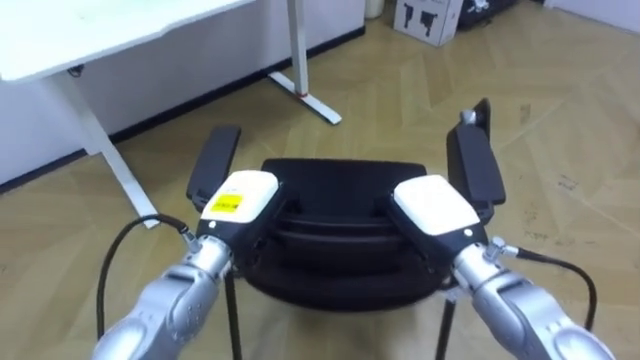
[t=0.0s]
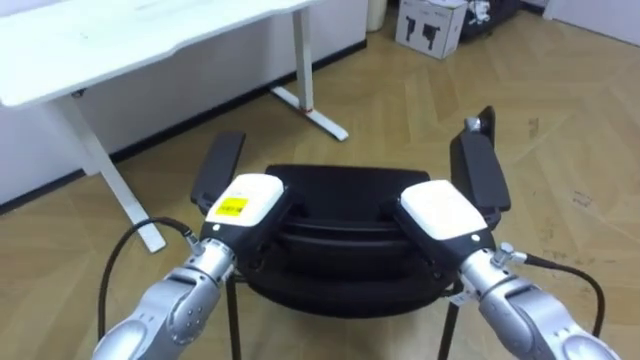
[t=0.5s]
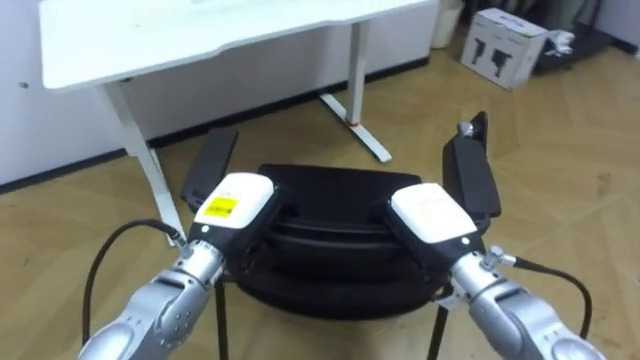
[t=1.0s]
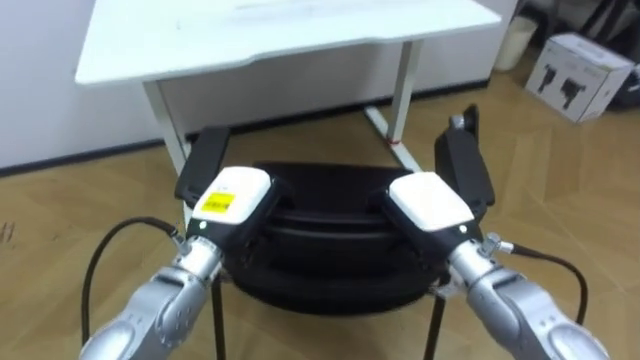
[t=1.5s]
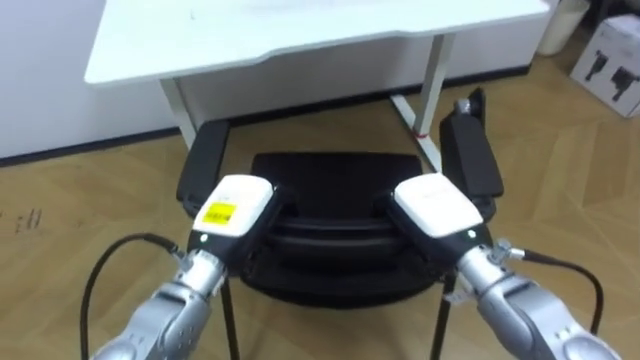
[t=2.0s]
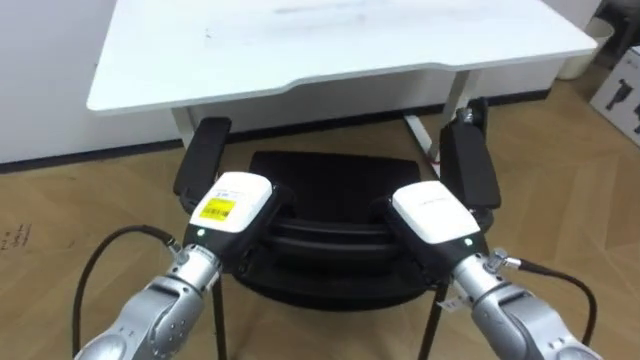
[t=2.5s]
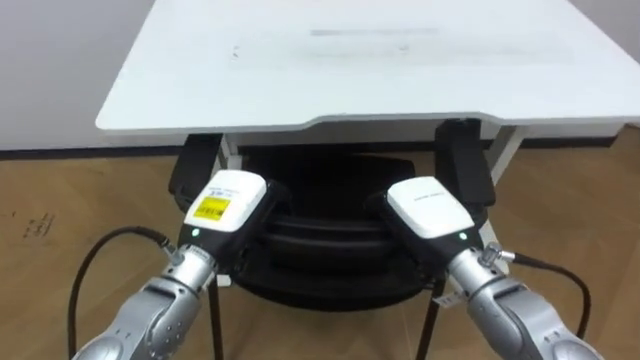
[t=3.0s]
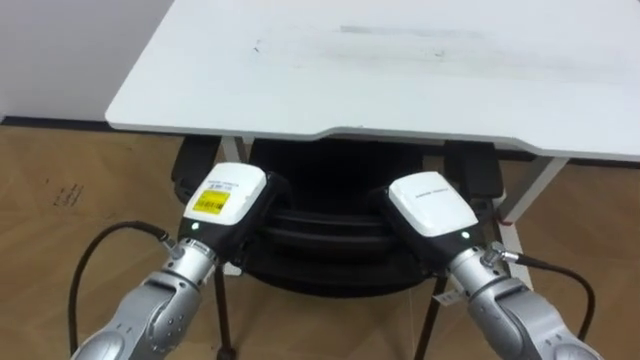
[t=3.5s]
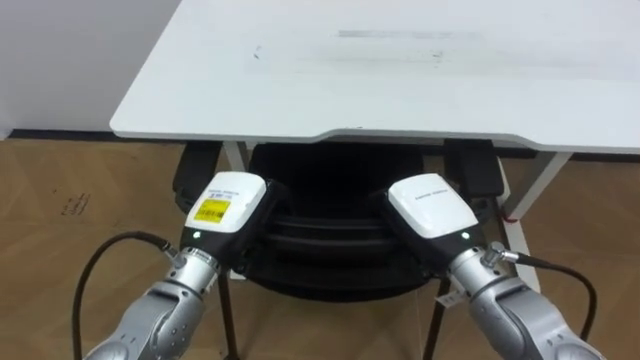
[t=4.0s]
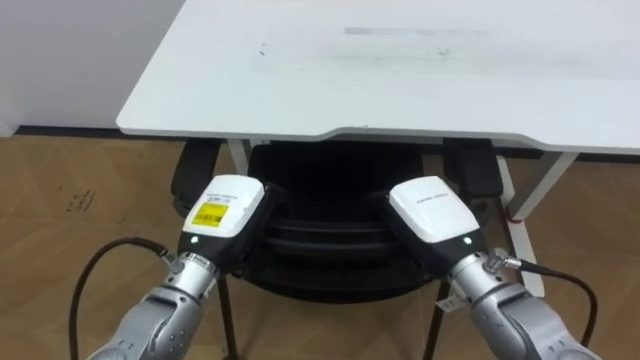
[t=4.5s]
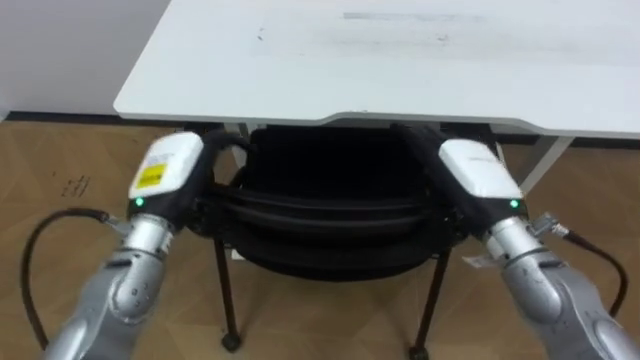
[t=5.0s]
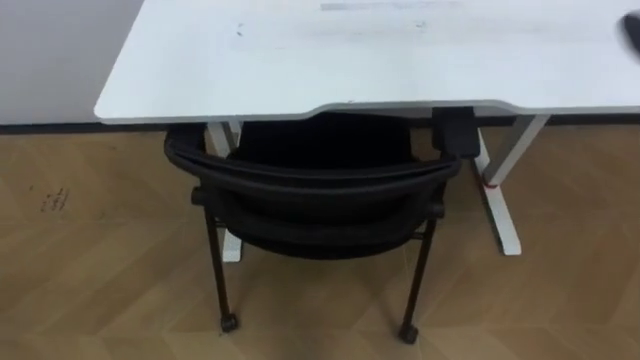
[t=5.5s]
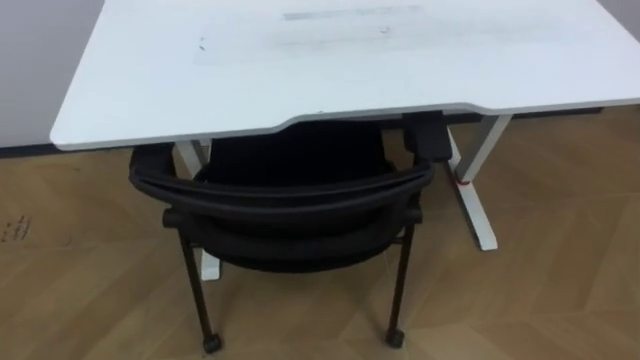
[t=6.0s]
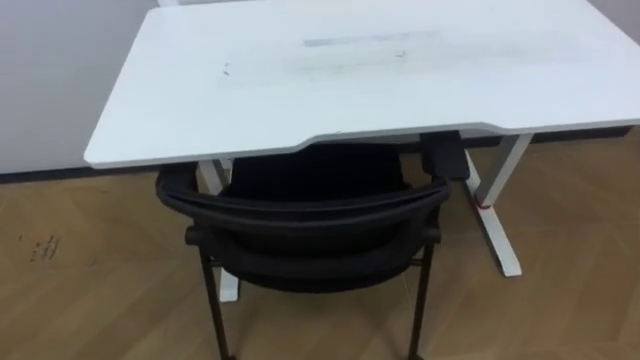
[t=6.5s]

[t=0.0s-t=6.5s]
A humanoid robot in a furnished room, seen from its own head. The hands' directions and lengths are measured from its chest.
Task of the whole recording: Push the chair under the table.
t=0.0s to t=2.0s: The robot turns to its left by approximately 20 degrees.
t=2.0s to t=4.5s: The robot rotates approximately 15 degrees to its left.

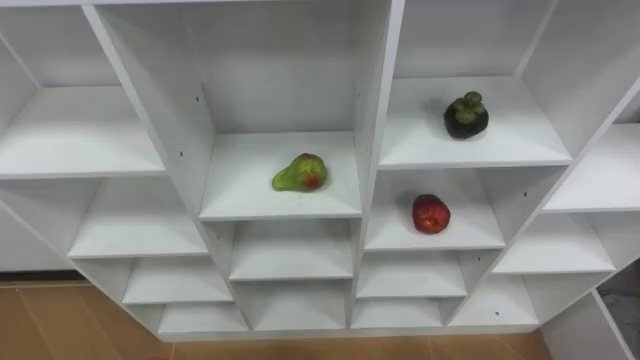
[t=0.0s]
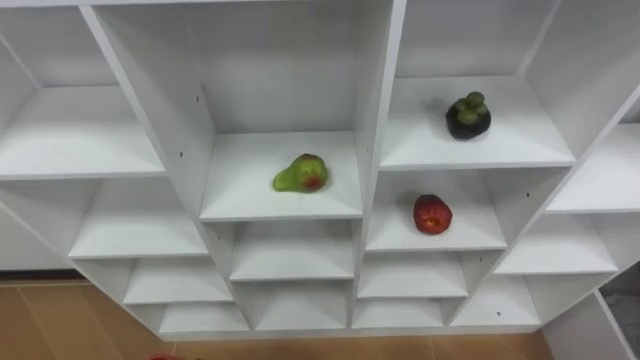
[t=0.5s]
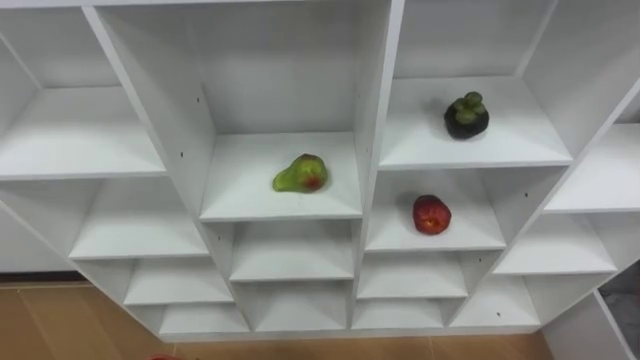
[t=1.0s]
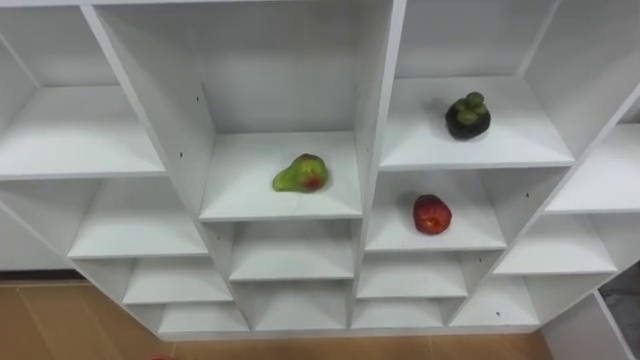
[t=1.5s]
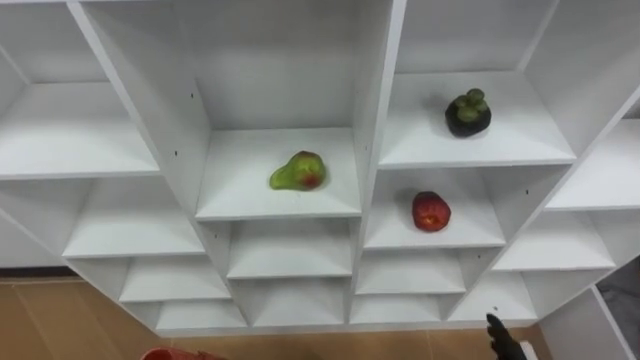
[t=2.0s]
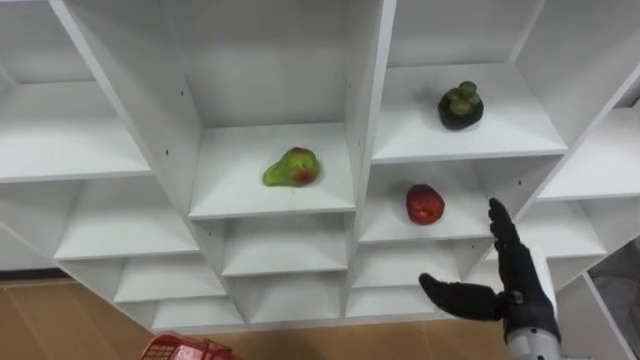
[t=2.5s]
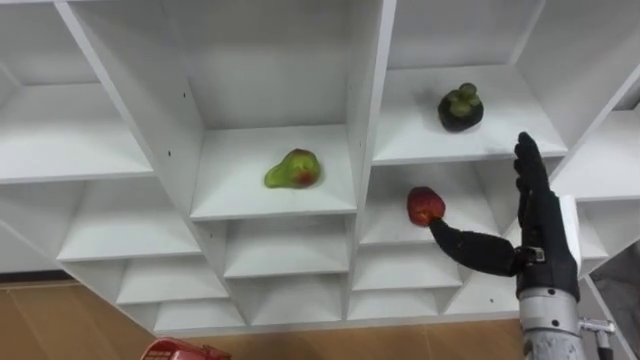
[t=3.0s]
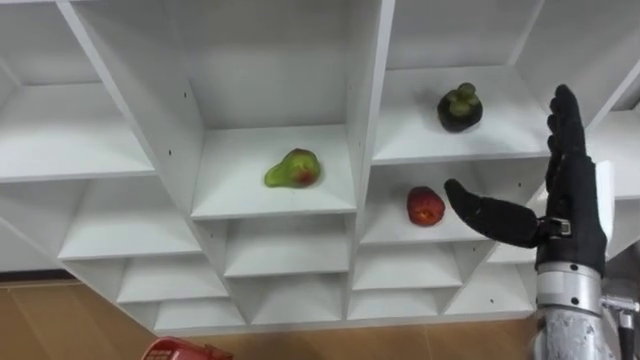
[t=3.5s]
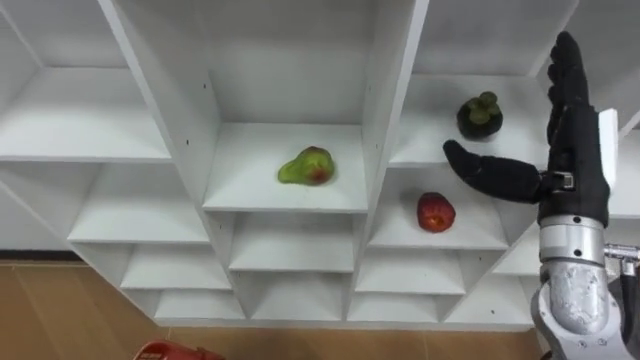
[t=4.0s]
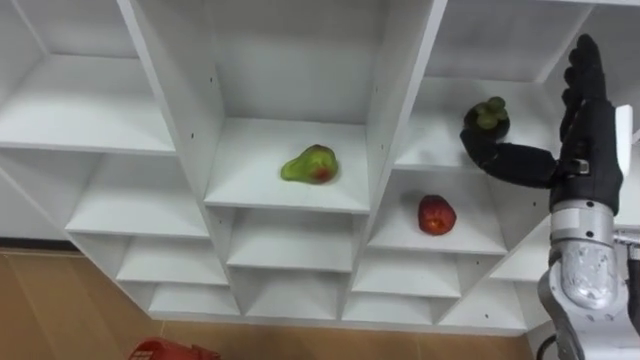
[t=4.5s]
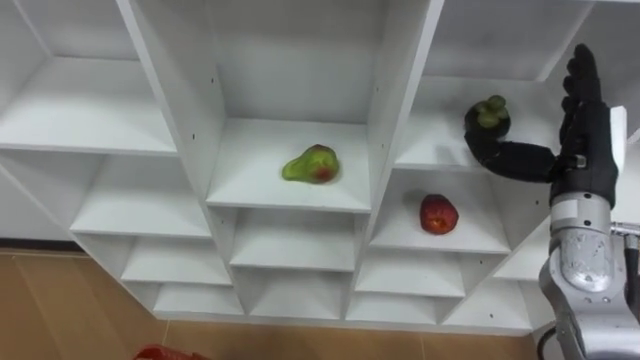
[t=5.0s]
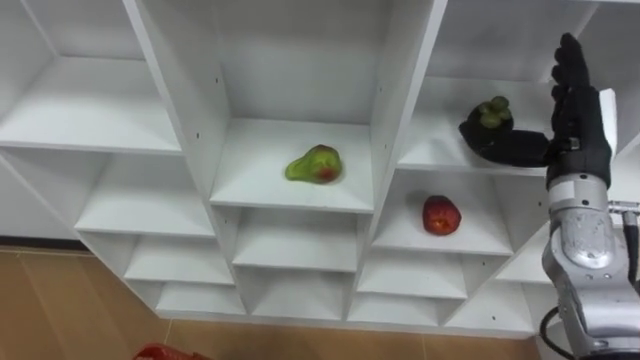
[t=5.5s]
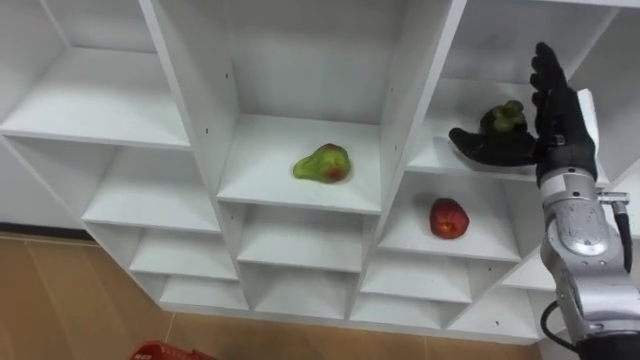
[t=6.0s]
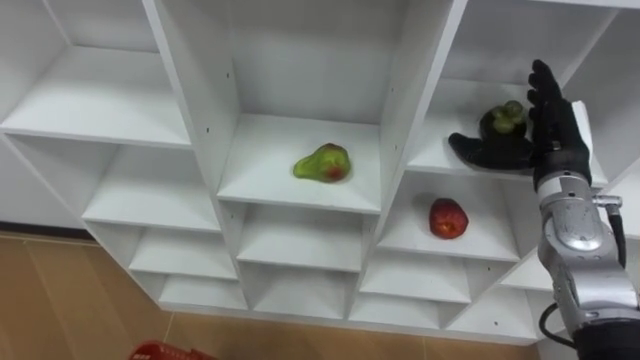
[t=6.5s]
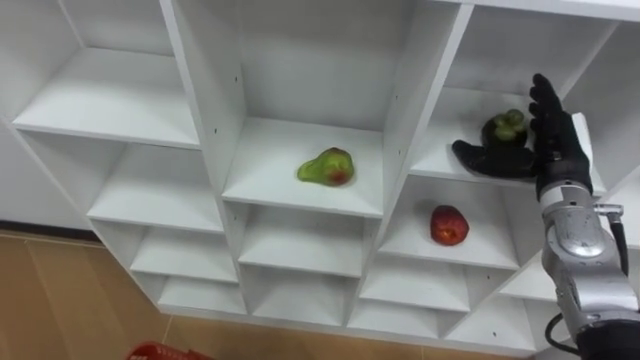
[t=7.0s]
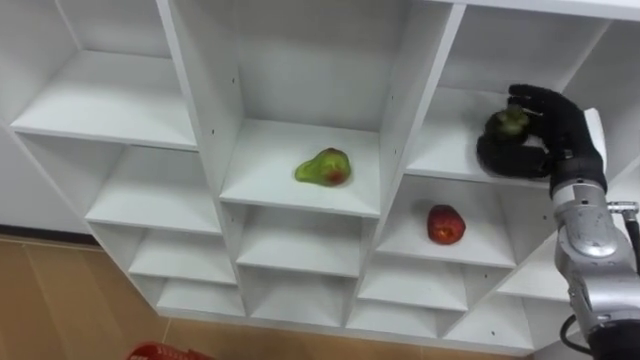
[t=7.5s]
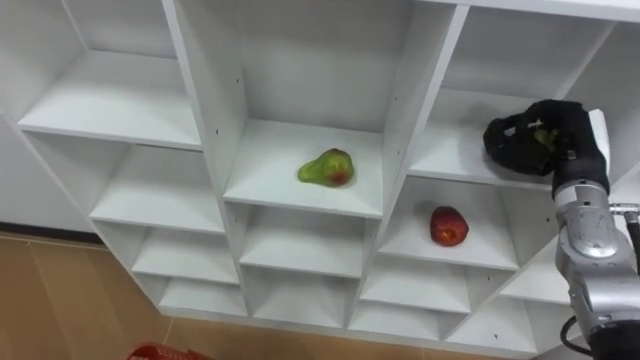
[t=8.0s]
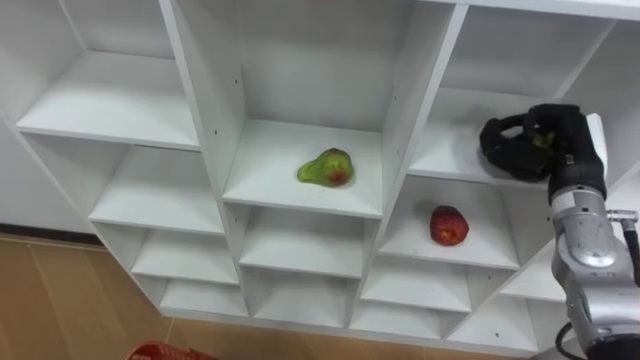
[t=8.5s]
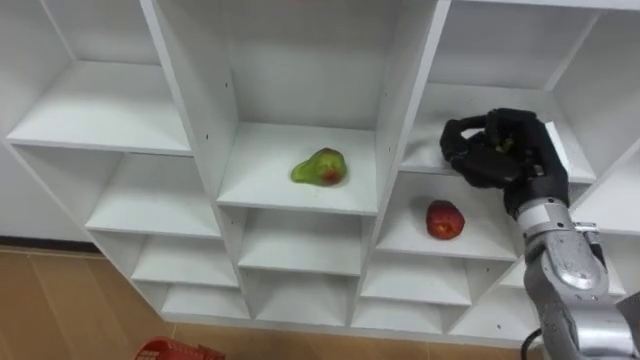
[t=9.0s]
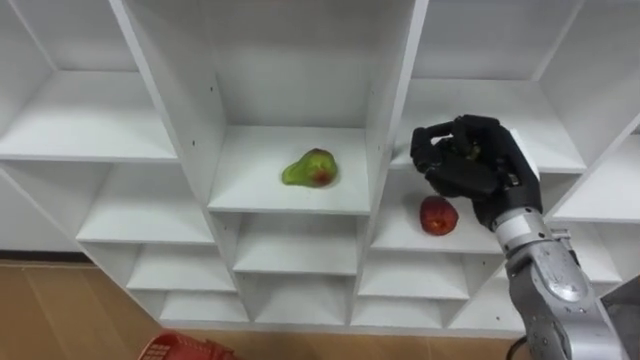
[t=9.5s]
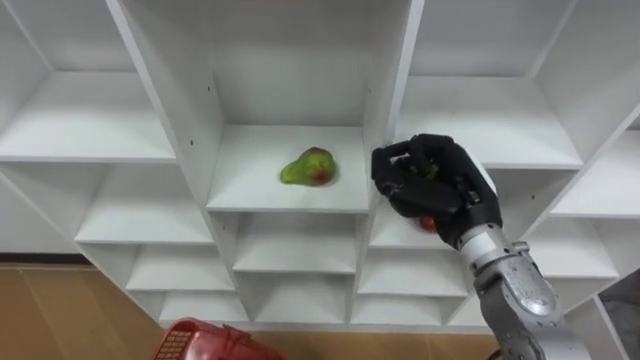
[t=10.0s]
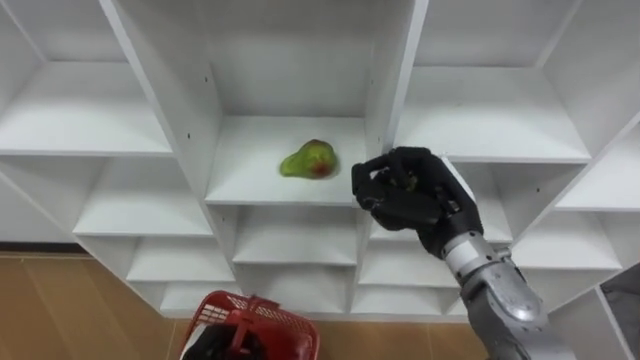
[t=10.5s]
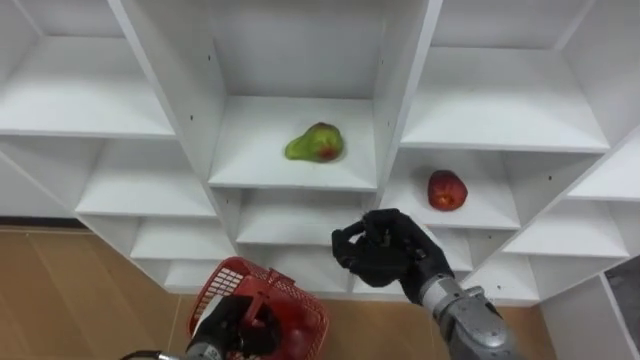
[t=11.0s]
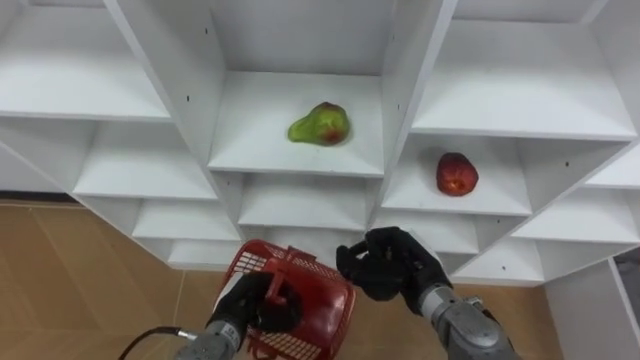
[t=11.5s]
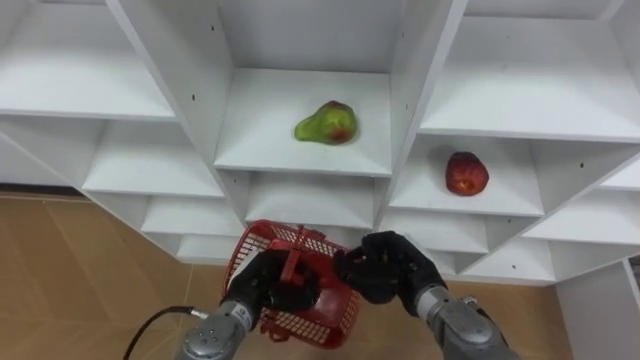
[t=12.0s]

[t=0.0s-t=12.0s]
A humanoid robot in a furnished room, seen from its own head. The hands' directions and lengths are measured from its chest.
Task of the whole recording: Hold the basket and collect the fruits from 3 different cells of the closet into it.
t=4.0s to t=6.0s: The right hand is displaced forward by some 5 cm.
t=6.0s to t=8.0s: The right hand closes its fingers.
t=8.0s to t=10.0s: The right hand heads to the left, covering roughly 15 cm.
t=10.0s to t=12.0s: The right hand moves downward, some 15 cm.

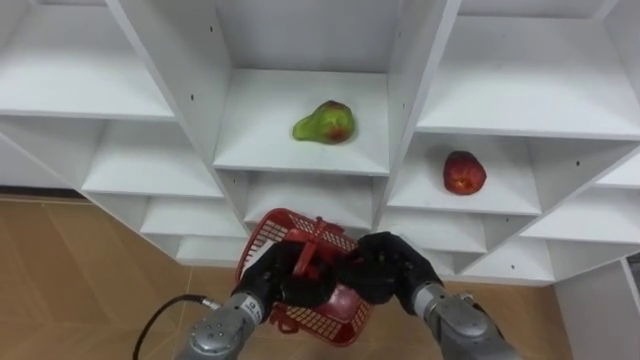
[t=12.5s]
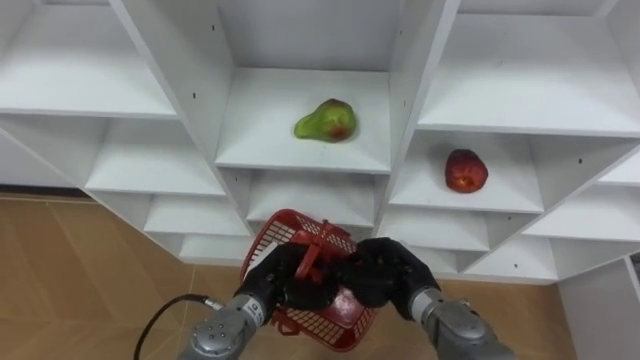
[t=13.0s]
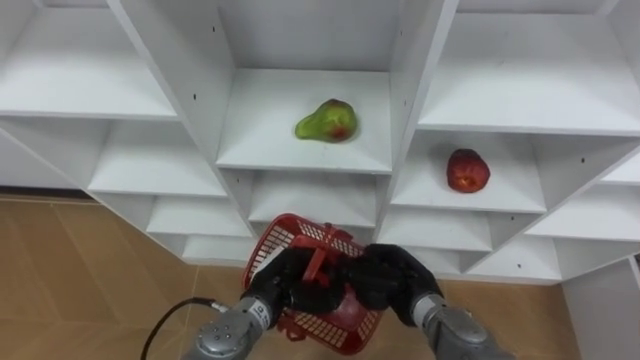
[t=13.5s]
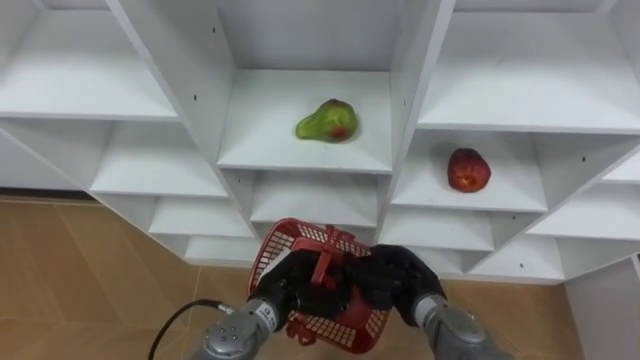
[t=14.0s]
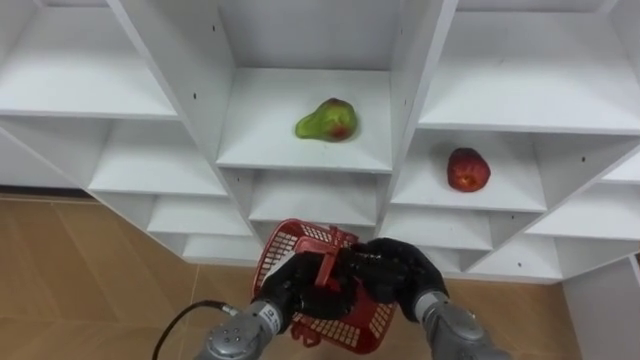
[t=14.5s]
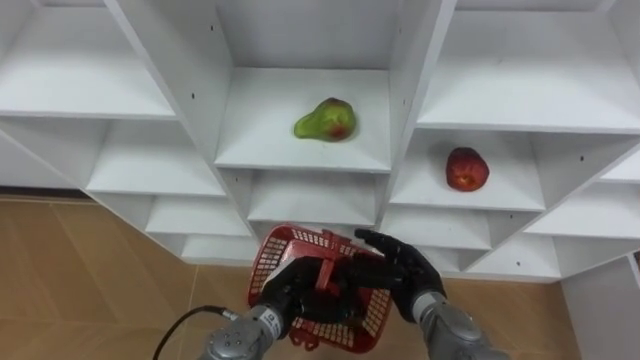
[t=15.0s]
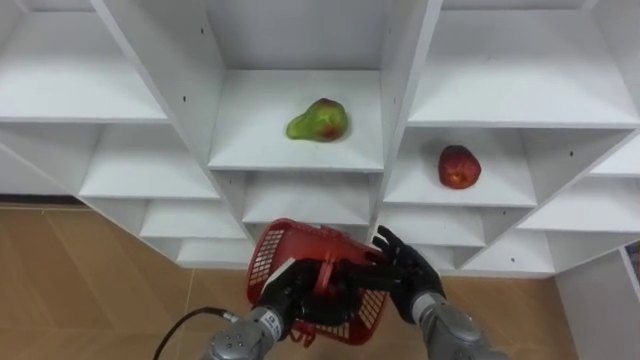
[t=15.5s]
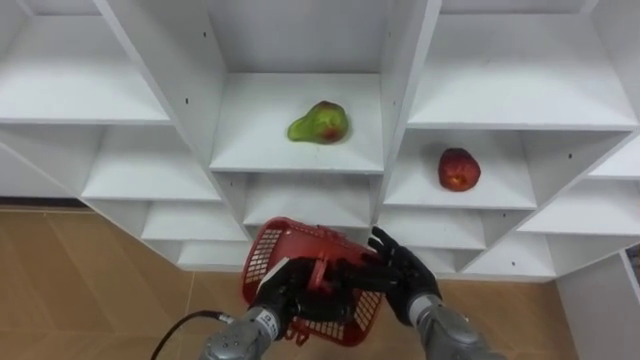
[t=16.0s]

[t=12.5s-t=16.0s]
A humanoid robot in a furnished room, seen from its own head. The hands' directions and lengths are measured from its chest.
Task of the whole recording: Hold the basket and collect the fruits from 3 different cells of the closet into it.
t=12.5s to t=14.5s: The hands make only small movements.
t=14.5s to t=16.0s: The right hand opens.
